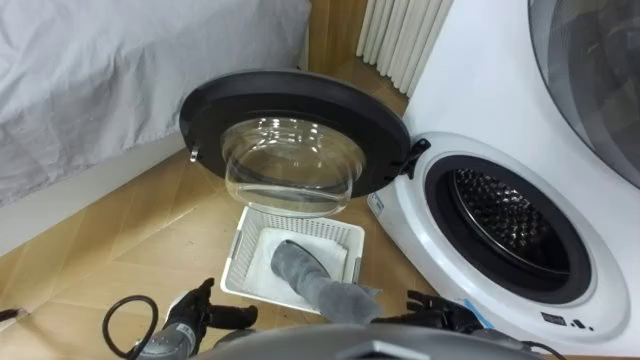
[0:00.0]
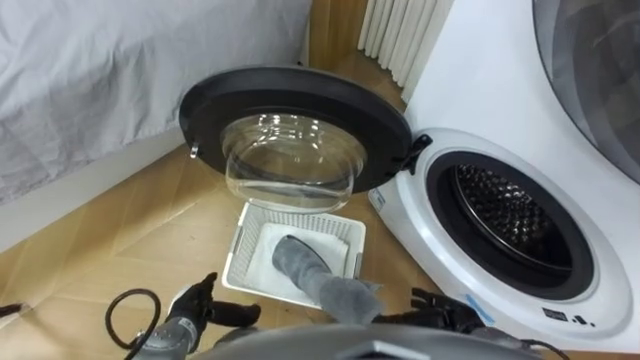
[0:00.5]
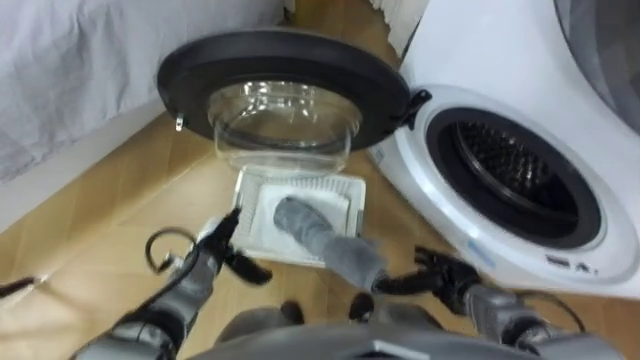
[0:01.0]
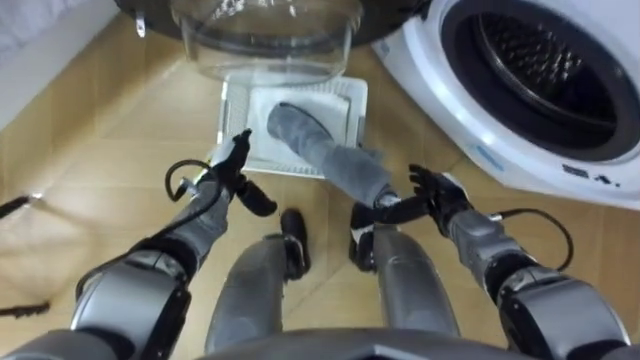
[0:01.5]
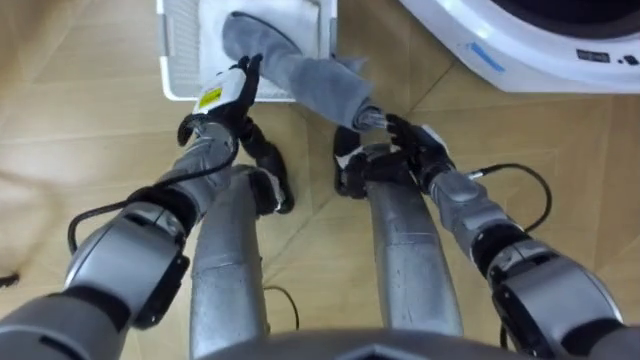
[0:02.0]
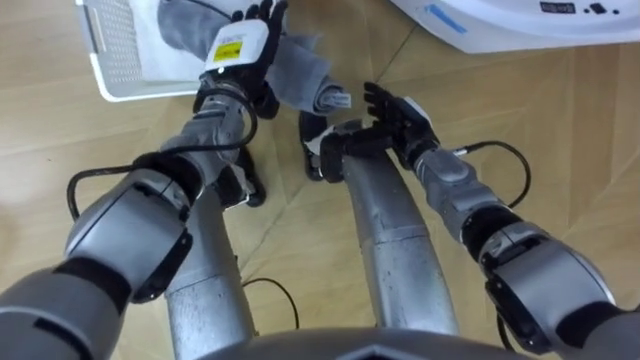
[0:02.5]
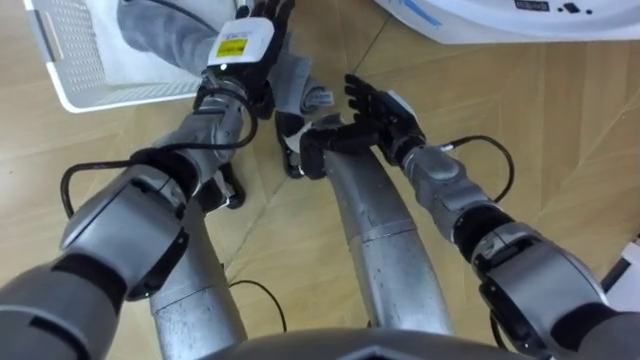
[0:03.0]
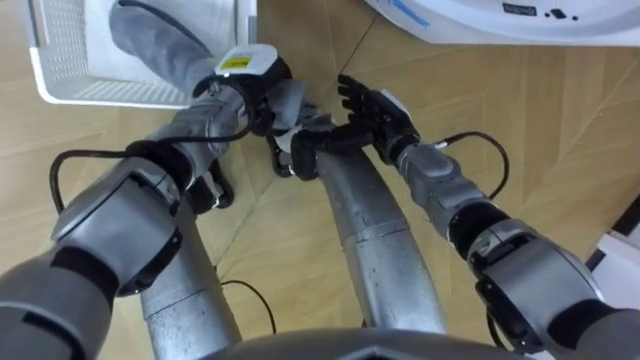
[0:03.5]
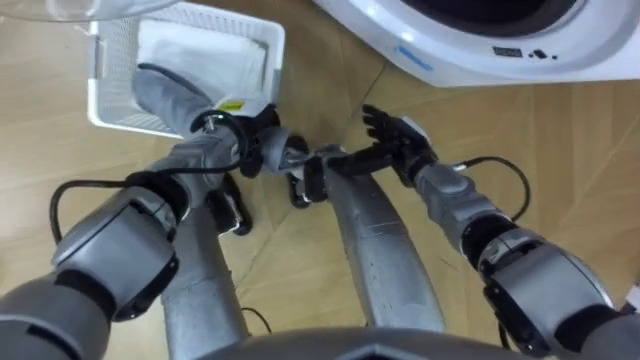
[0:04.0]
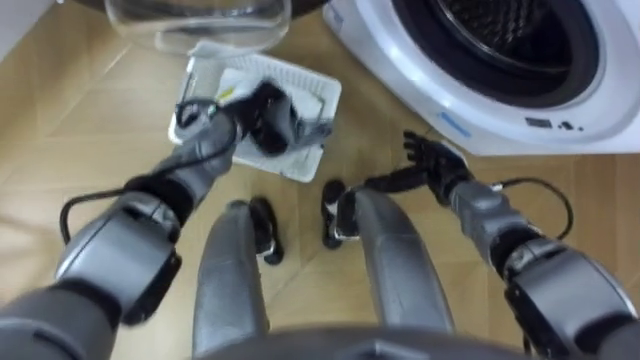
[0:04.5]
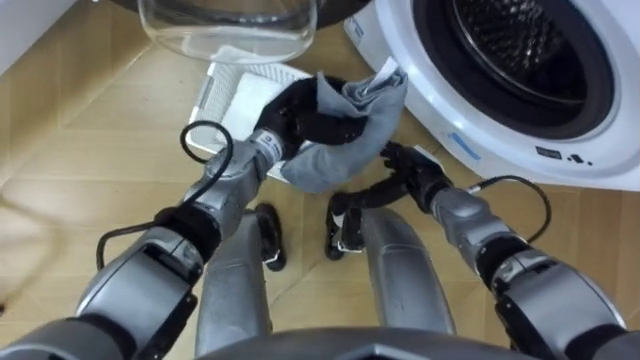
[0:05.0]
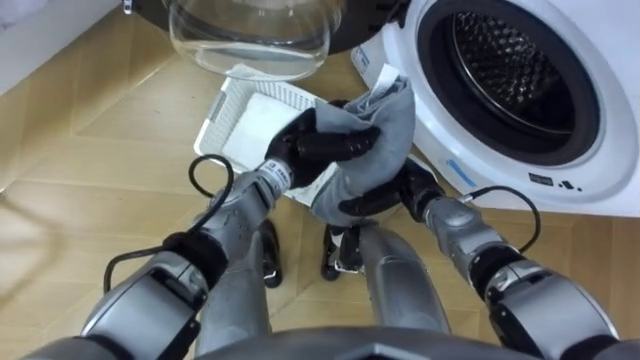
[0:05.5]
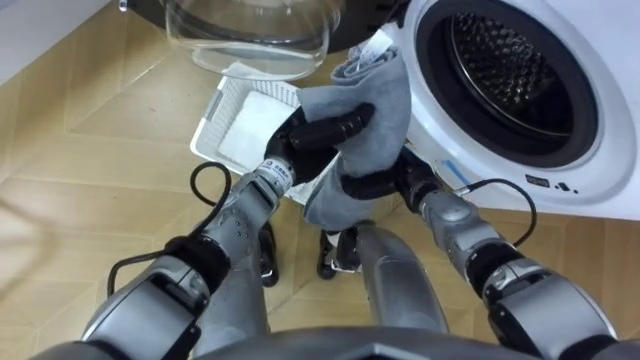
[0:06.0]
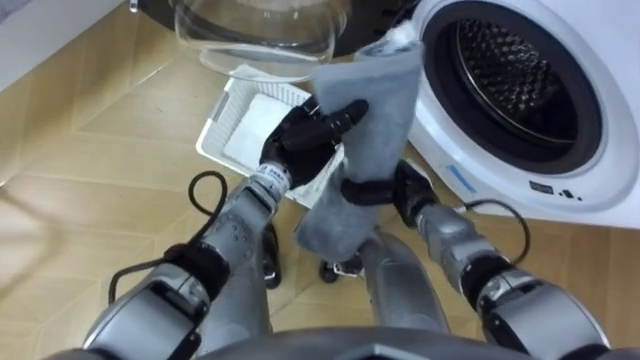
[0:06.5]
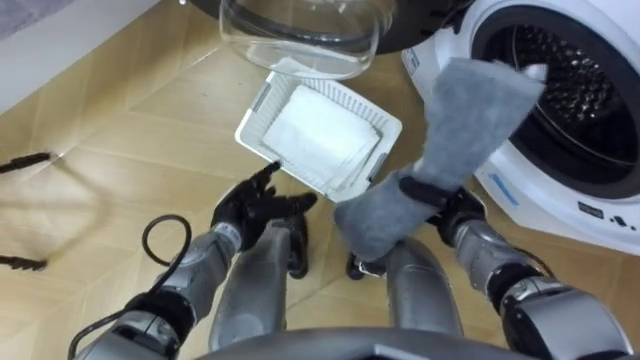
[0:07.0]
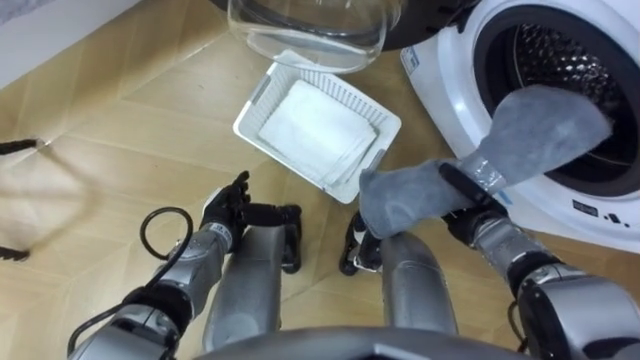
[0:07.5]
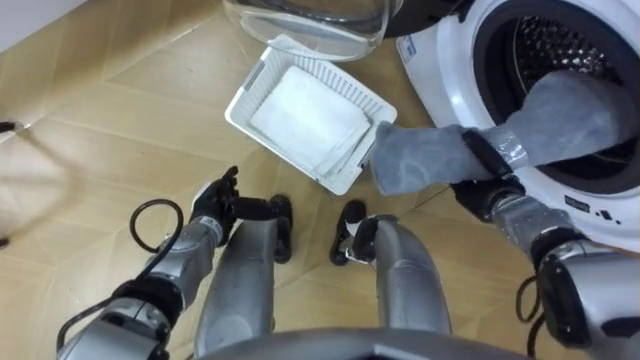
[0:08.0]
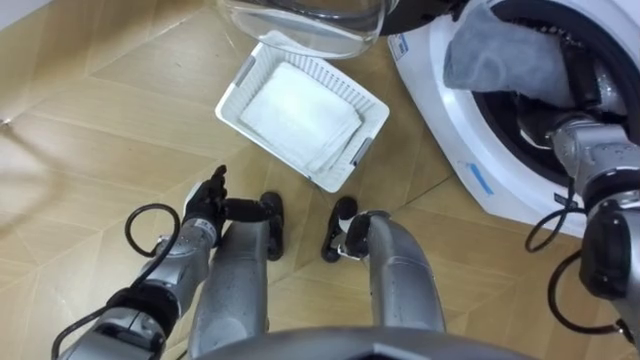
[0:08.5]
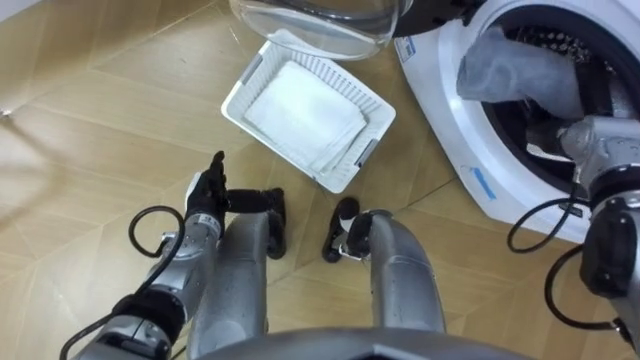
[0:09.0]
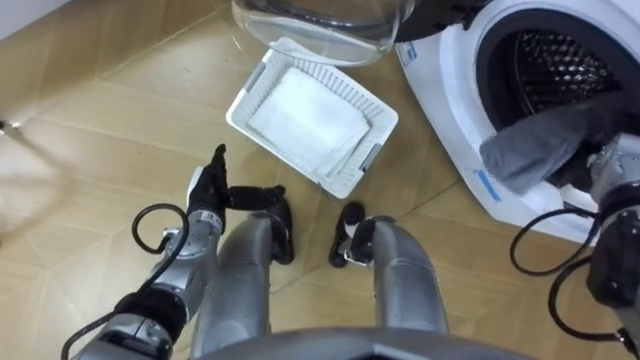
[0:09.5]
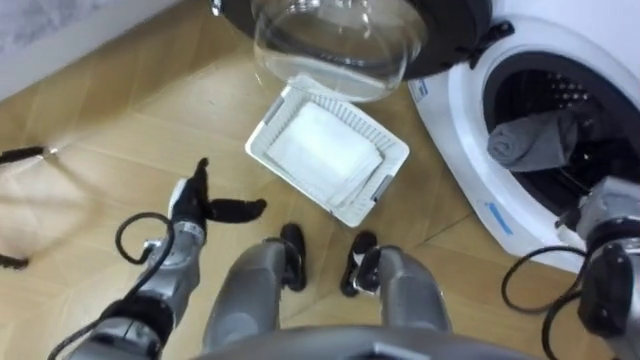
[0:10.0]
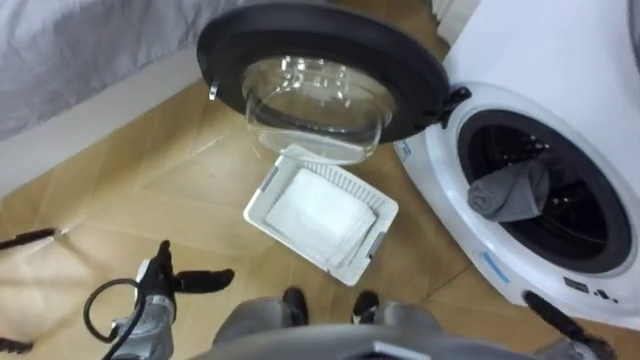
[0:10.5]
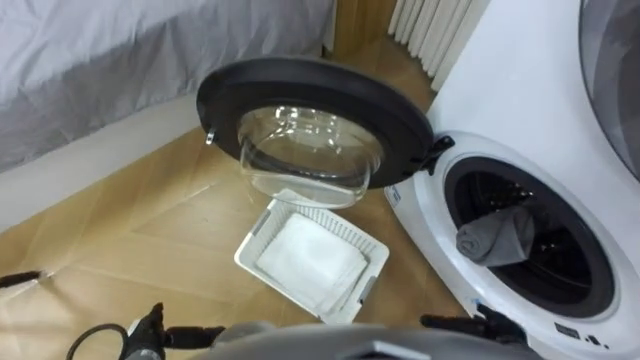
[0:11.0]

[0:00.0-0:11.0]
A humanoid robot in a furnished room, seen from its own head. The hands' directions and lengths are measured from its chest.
Task of the whole recording: Take the towel from the basket and put it into the washing machine.
0:02.0 to 0:03.5: The left hand closes its fingers. The right hand shifts some 5 cm to the left.
0:03.5 to 0:05.5: The right hand moves downward and backward, roughly 10 cm, while the left hand travels backward and to the right by some 10 cm.
0:05.5 to 0:07.5: The left hand moves to the left, downward and backward, some 20 cm, and opens. Meanwhile the right hand shifts roughly 10 cm to the right, and closes up.
0:07.5 to 0:09.0: The right hand shifts approximately 15 cm upward, to the right and forward.
0:09.0 to 0:11.0: The right hand is displaced backward and downward by roughly 30 cm, and opens up. The left hand heads backward and to the left, covering about 20 cm.

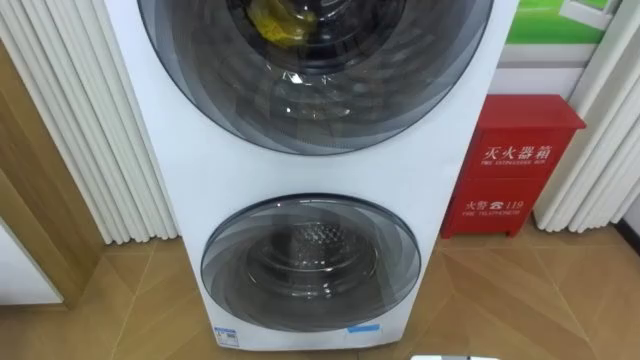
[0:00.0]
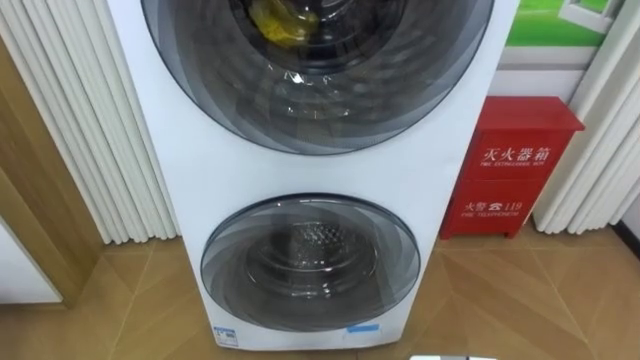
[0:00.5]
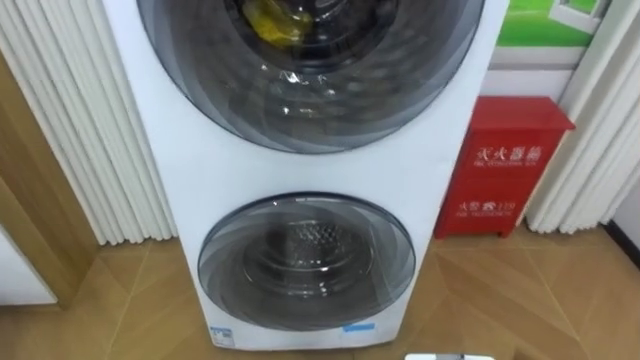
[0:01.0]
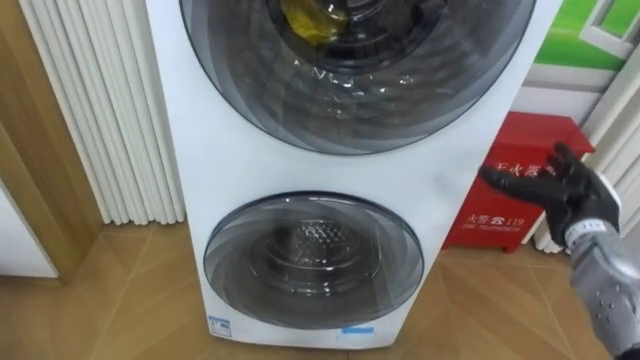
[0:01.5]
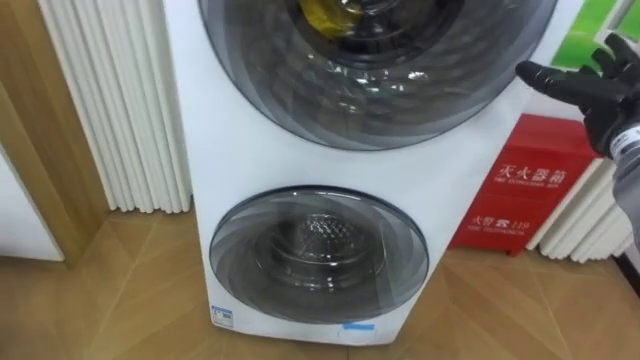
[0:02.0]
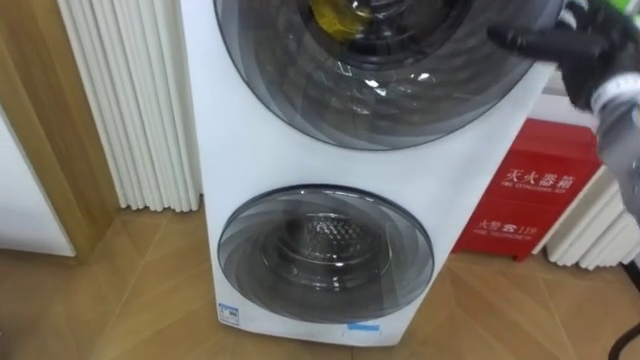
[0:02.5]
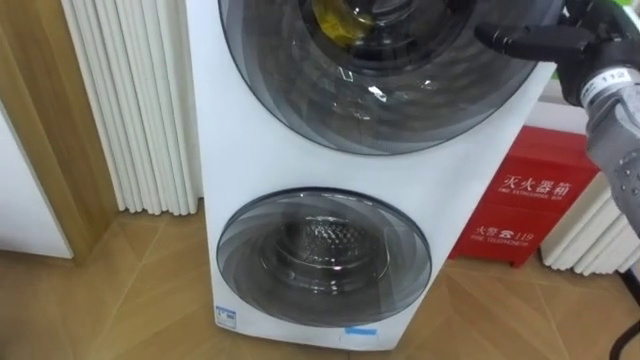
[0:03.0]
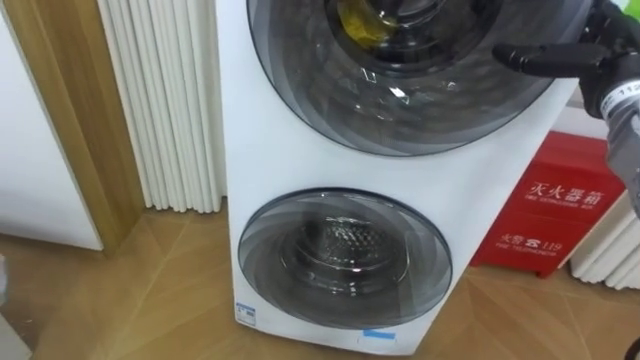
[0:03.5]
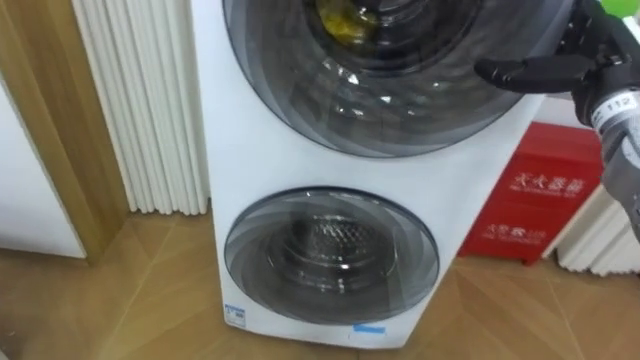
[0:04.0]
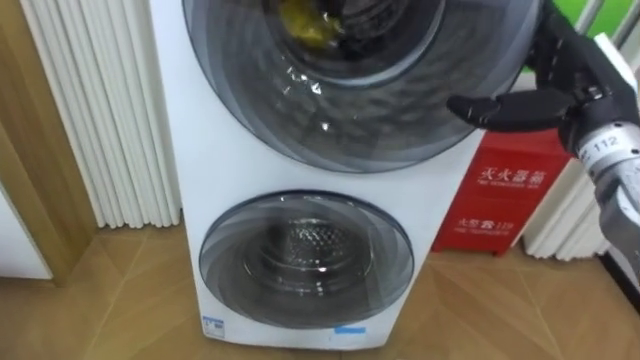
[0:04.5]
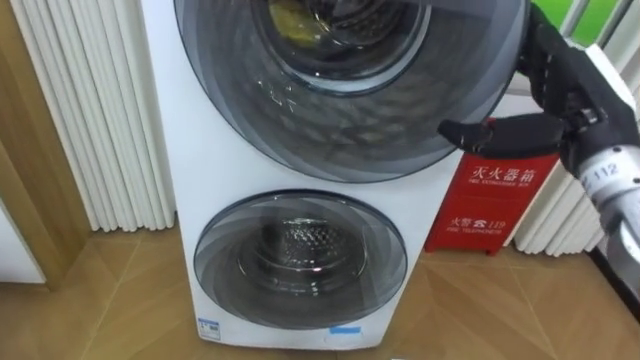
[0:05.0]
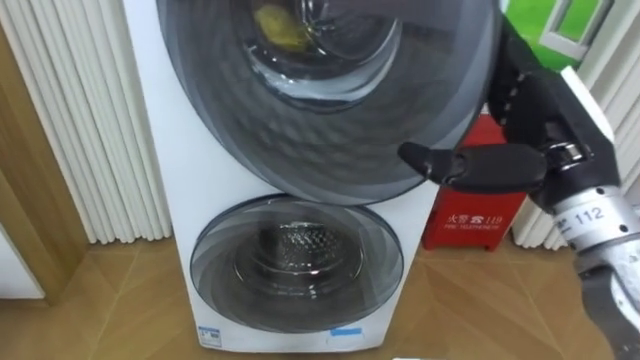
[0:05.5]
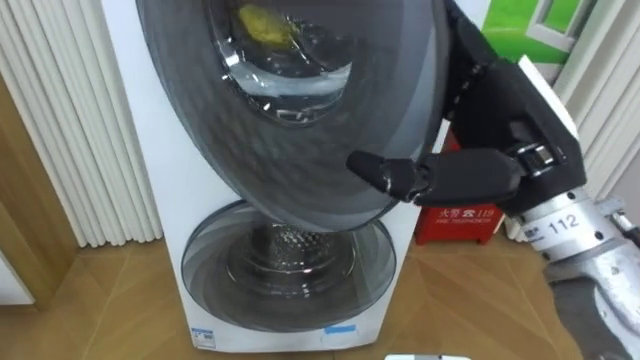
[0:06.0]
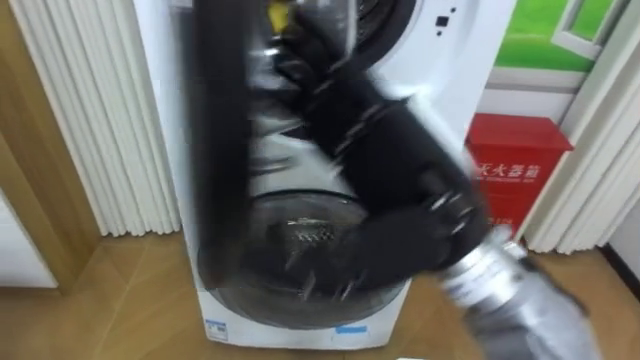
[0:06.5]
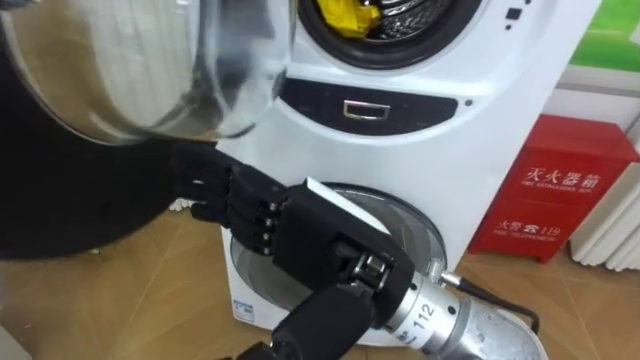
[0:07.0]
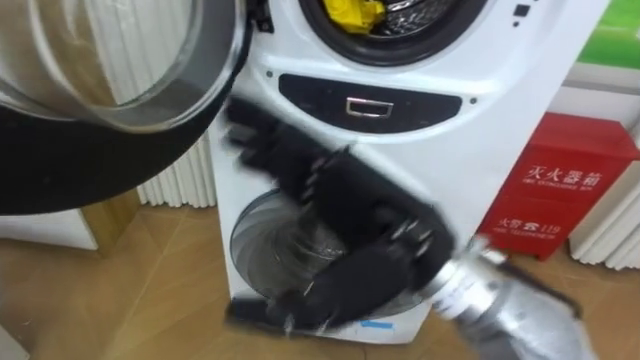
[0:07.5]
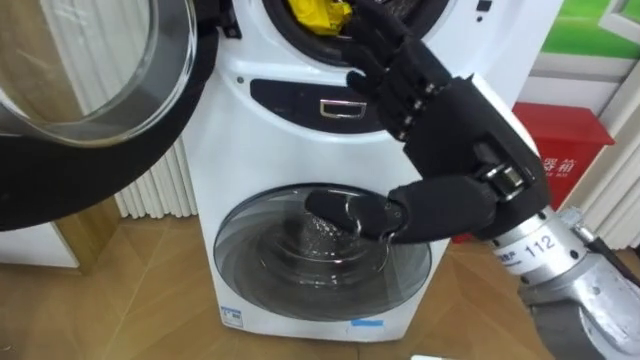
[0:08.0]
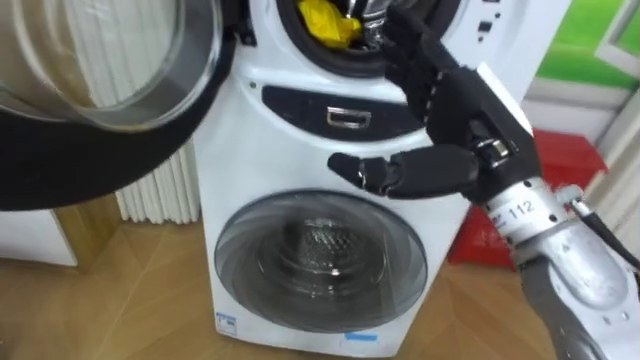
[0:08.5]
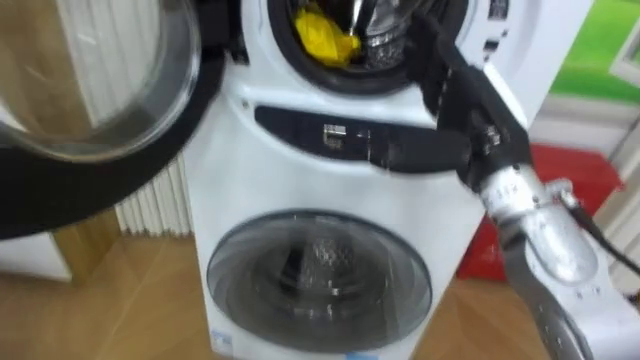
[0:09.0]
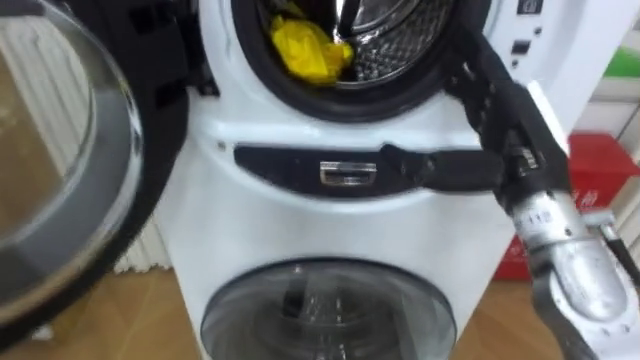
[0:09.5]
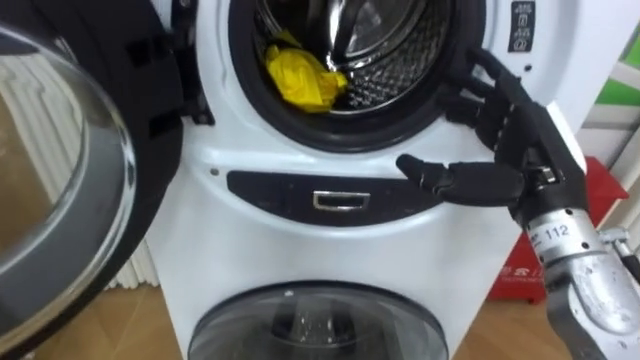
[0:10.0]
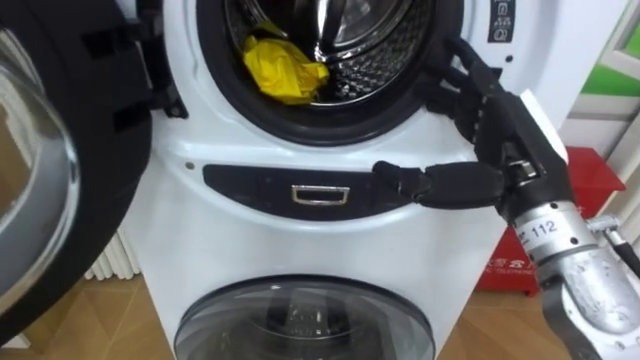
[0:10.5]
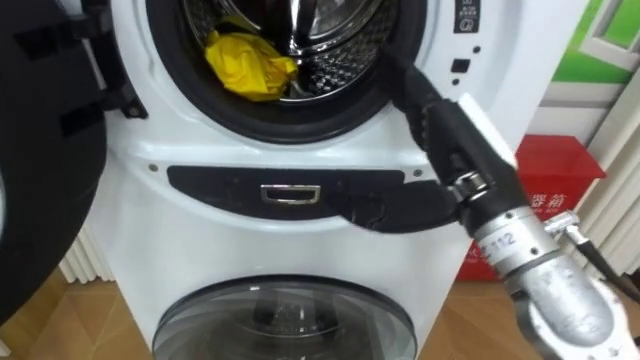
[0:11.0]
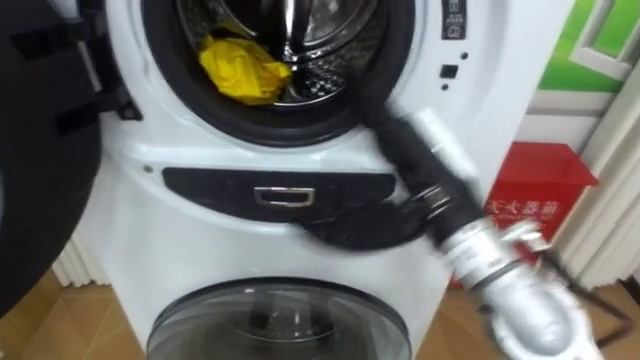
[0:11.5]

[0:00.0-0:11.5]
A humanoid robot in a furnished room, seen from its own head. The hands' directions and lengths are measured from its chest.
Task of the whole recording: Open the washing machine door, take out the yellow clothes, place them in the box on the right, and close the washing machine door.
0:02.0 to 0:04.0: The right hand ends up approximately 5 cm from where it was.
0:04.0 to 0:06.0: The right hand shifts some 20 cm to the left and backward.
0:06.0 to 0:07.5: The right hand heads to the left, covering some 10 cm.
0:07.5 to 0:09.5: The right hand heads to the right and forward, covering some 15 cm.
0:09.5 to 0:11.5: The right hand goes some 10 cm to the left.
